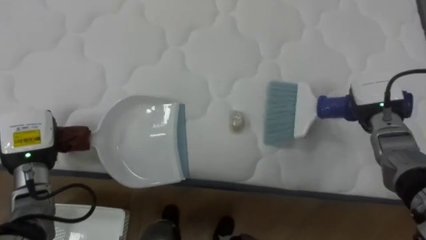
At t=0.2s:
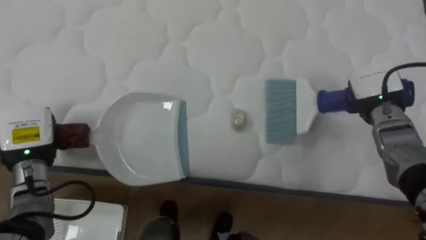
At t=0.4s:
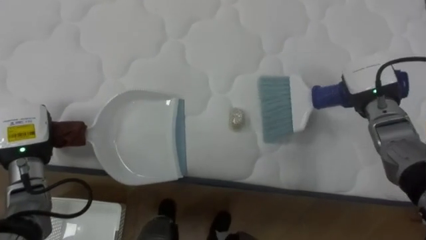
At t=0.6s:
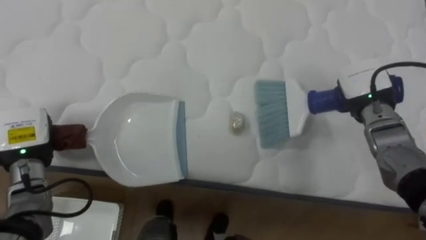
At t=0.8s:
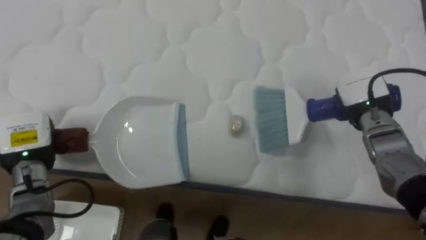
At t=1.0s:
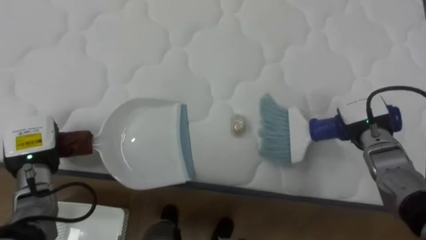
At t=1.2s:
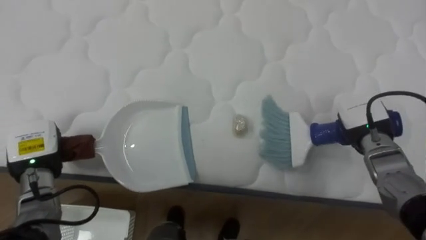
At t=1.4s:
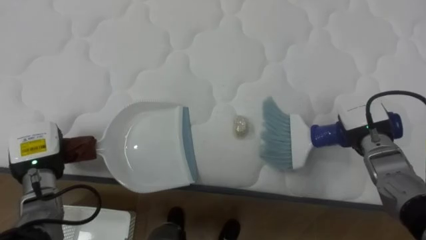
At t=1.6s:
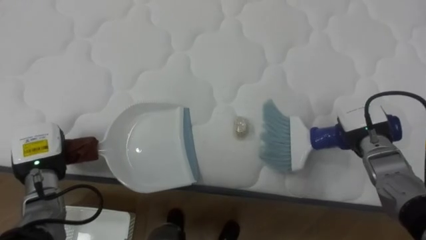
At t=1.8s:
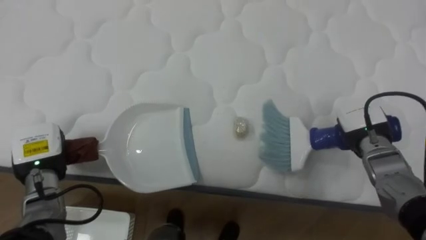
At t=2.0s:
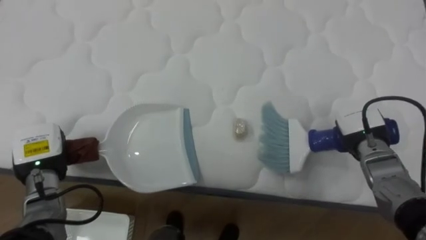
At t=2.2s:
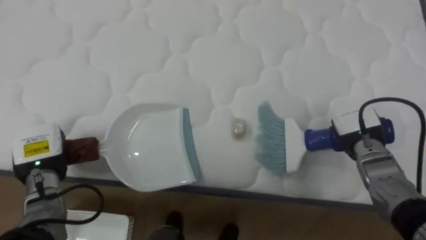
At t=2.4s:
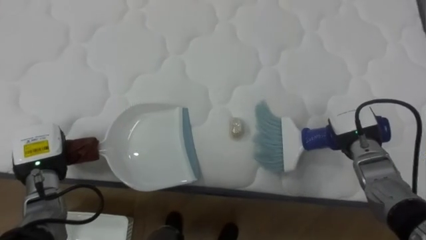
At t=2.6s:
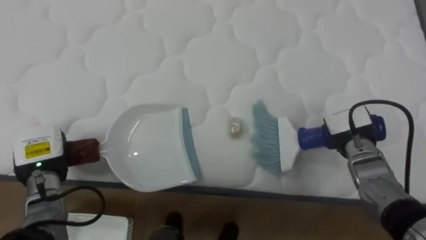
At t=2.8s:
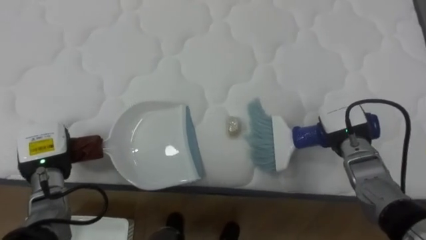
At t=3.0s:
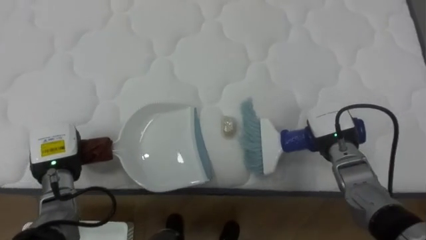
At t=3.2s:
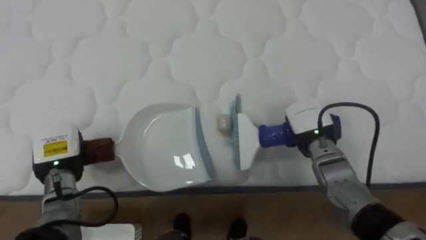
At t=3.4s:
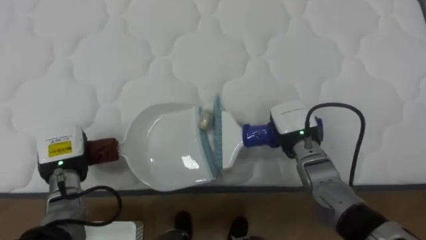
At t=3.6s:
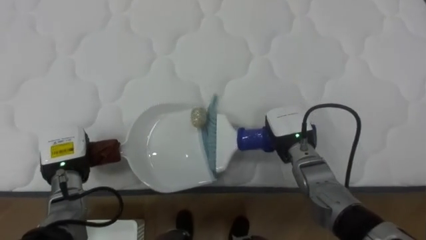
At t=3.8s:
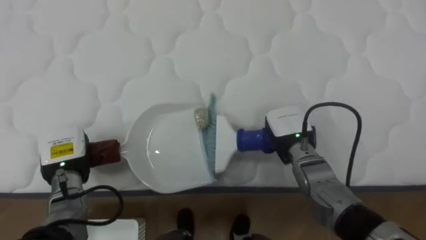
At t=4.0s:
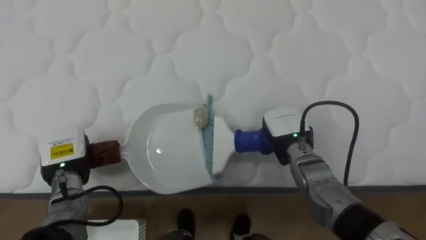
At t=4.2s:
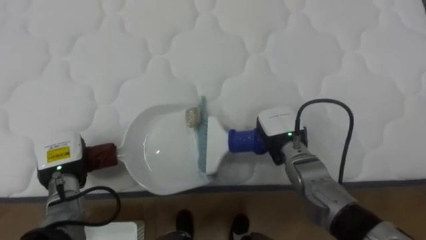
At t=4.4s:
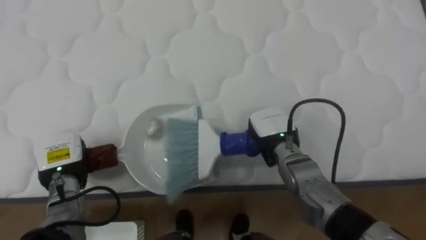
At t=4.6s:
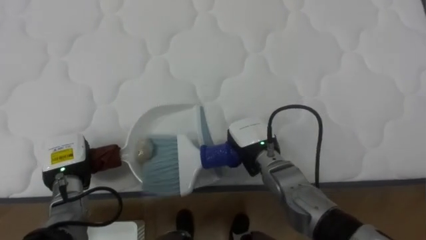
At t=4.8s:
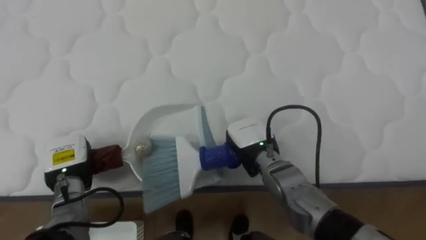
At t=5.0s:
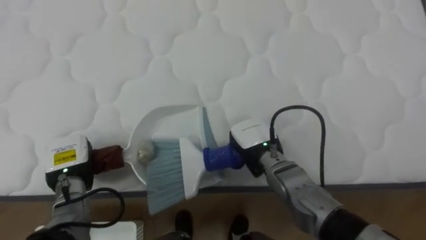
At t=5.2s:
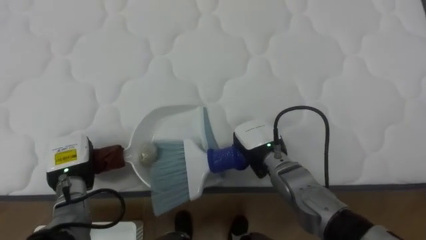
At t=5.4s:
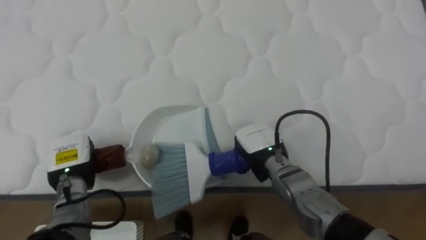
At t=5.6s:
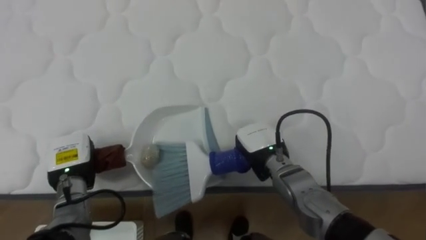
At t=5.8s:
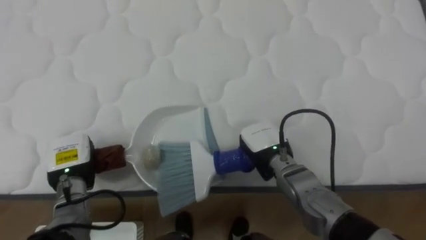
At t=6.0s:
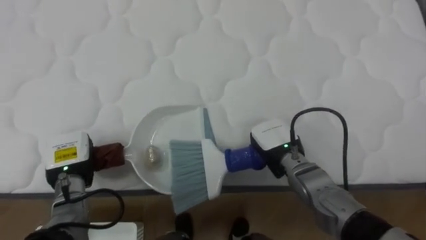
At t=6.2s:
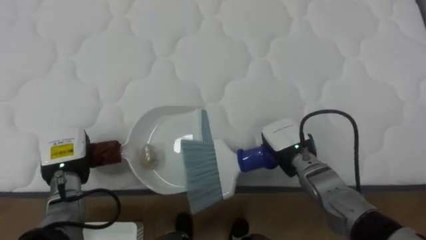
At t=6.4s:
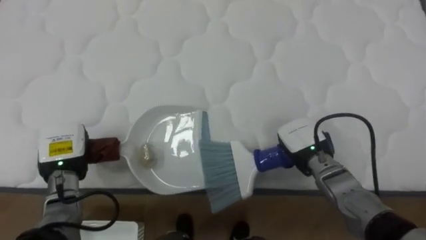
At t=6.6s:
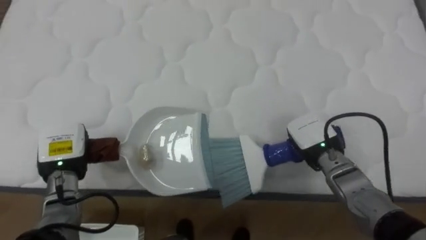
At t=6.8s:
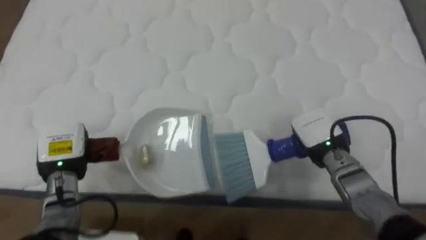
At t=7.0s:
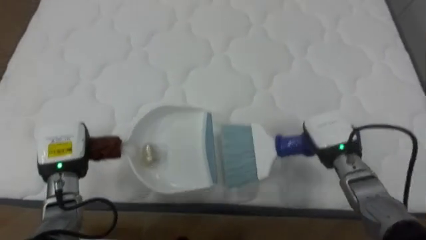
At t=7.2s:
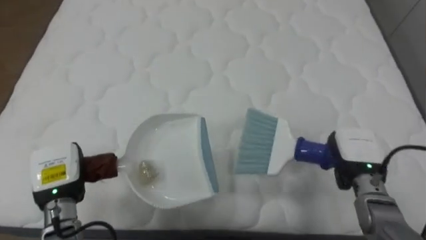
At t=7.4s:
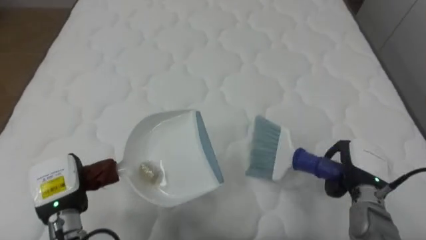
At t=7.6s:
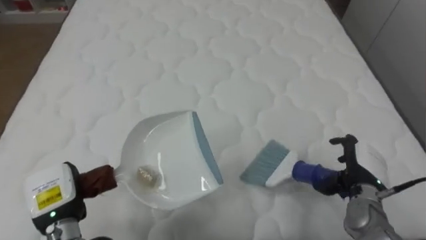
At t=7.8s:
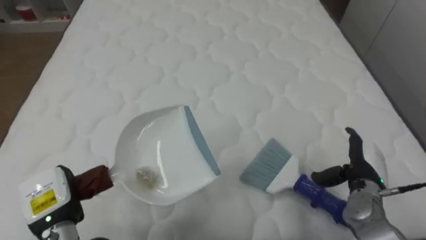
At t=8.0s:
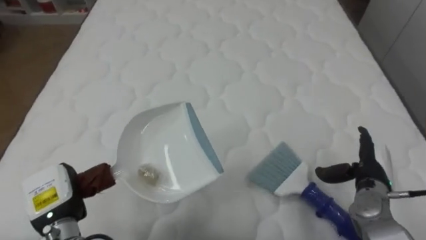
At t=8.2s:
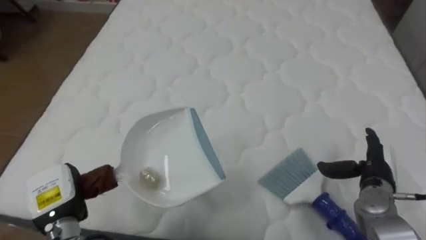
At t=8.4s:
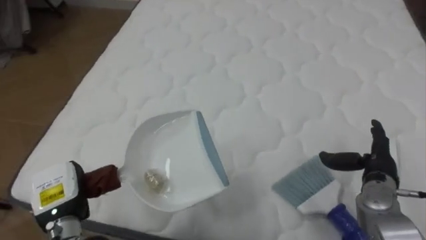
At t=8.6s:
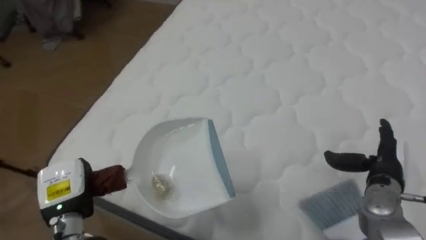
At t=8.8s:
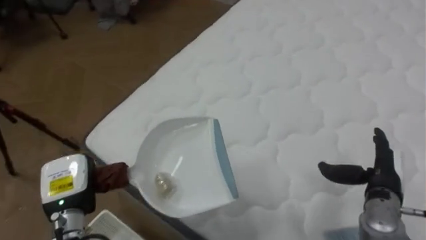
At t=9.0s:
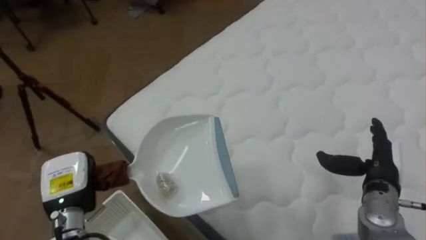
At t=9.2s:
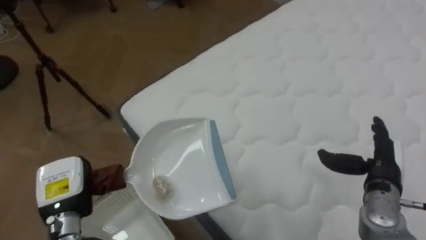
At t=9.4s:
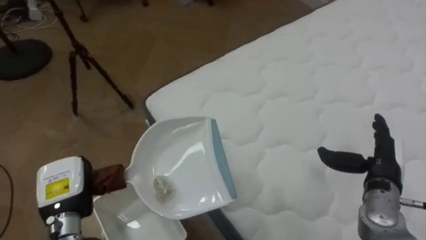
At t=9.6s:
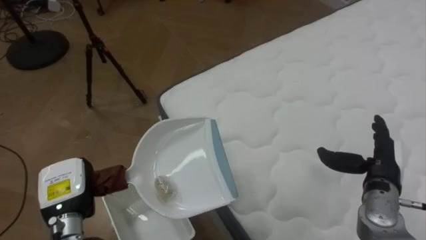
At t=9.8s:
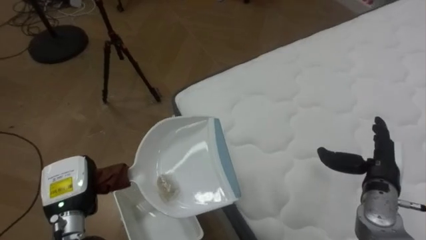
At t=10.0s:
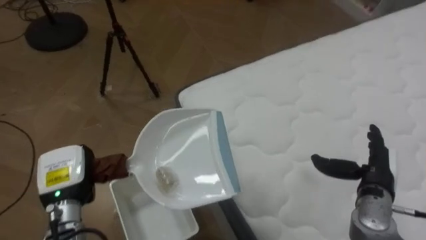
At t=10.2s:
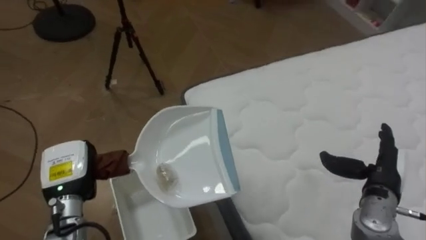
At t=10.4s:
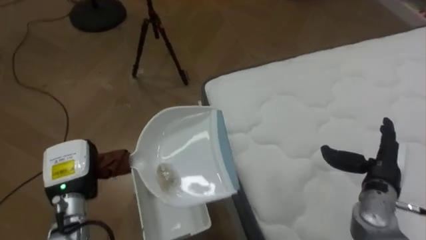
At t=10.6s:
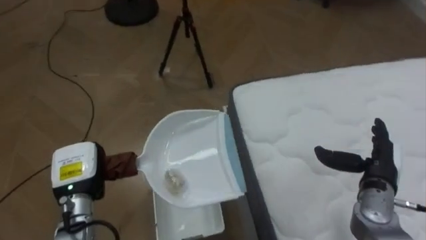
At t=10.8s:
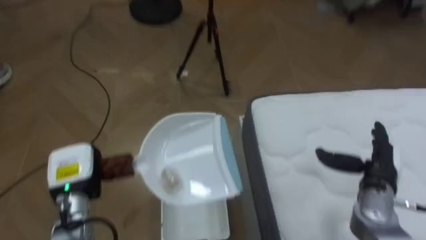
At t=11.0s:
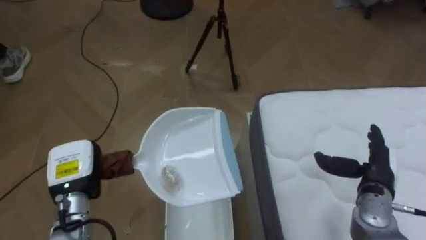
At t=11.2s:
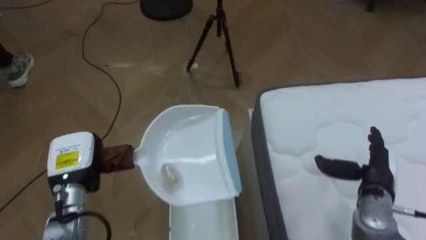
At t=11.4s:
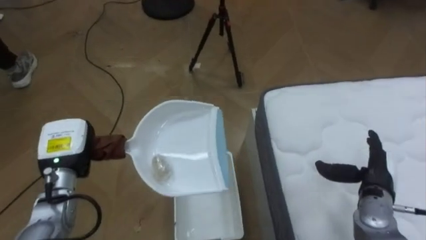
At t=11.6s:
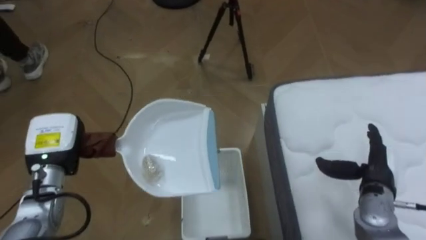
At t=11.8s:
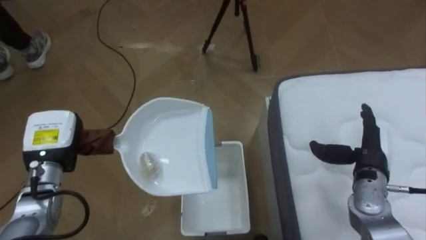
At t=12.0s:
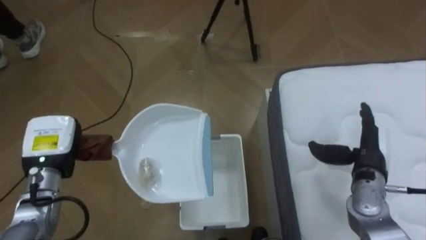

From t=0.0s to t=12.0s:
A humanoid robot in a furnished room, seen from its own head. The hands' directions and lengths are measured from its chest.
Task of the whole recording: Pick up the brush on your right and the dustpan on your left. Use the brush to sweep the crumpled paper on the bed into the dustpan, then turn left and empty it into the basket.
From t=0.0s to t=1.6s: The right hand moves about 5 cm.
From t=1.6s to t=3.0s: The right hand heads to the left, covering roughly 5 cm.
From t=3.0s to t=4.4s: The right hand moves to the left, about 10 cm.
From t=4.4s to t=6.0s: The hands make only small movements.
From t=6.0s to t=7.6s: The left hand shifts approximately 10 cm backward. Meanwhile the right hand travels to the right by about 15 cm, and opens up.
From t=7.6s to t=9.0s: The robot faces approximately 45 degrees further to its left.
From t=9.0s to t=10.4s: The robot faces about 35 degrees further to its left.
From t=10.4s to t=12.0s: The robot turns to its left by roughly 20 degrees. The left hand changes place by approximately 5 cm.

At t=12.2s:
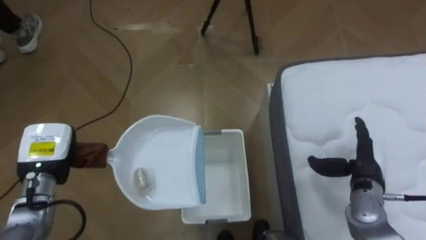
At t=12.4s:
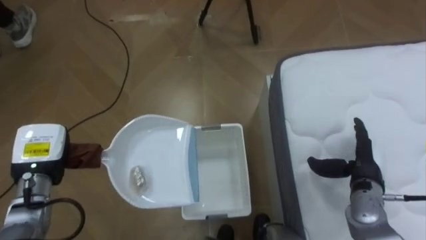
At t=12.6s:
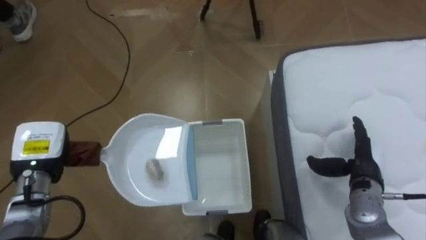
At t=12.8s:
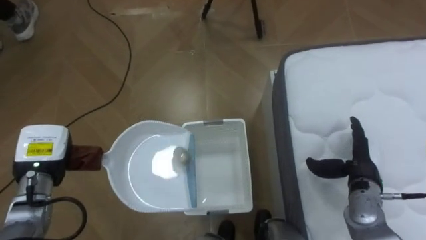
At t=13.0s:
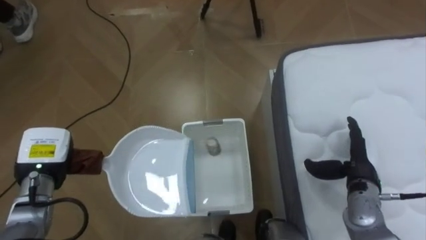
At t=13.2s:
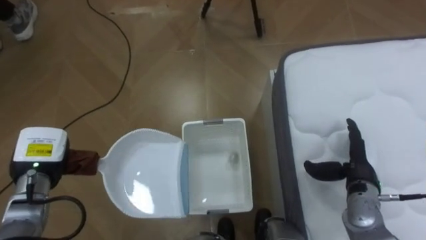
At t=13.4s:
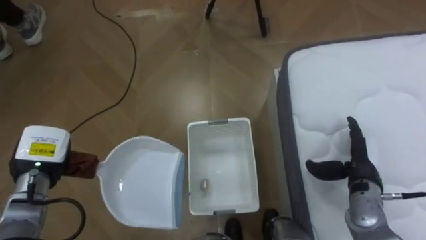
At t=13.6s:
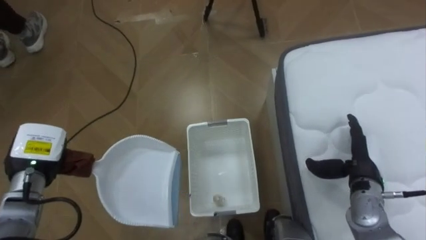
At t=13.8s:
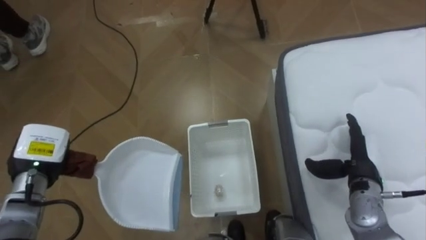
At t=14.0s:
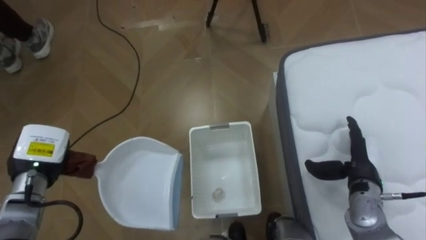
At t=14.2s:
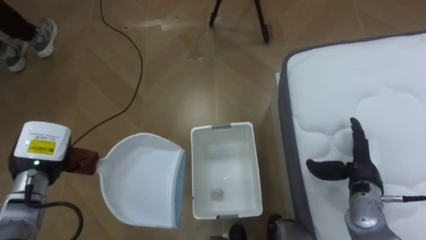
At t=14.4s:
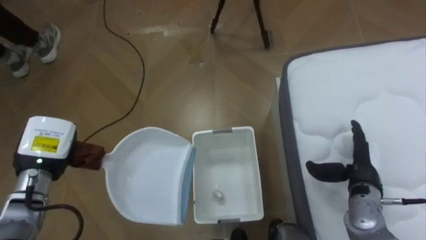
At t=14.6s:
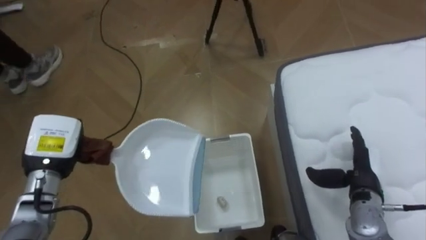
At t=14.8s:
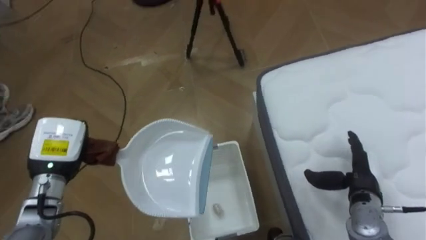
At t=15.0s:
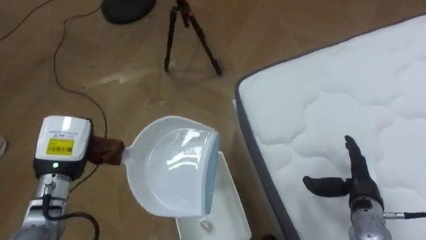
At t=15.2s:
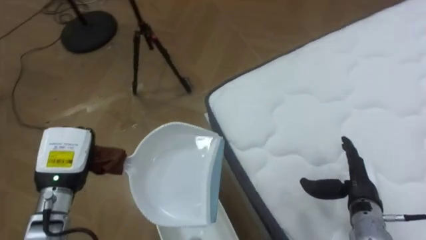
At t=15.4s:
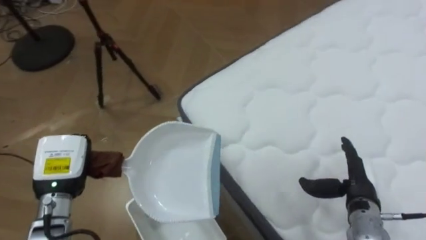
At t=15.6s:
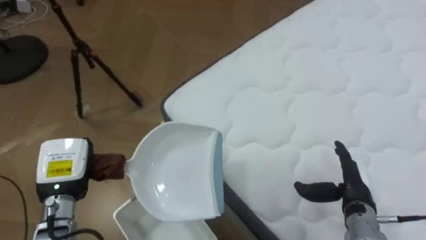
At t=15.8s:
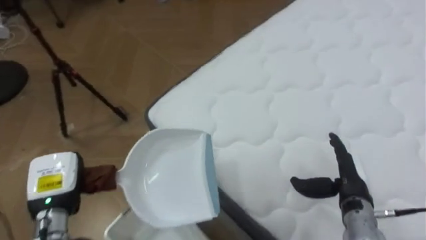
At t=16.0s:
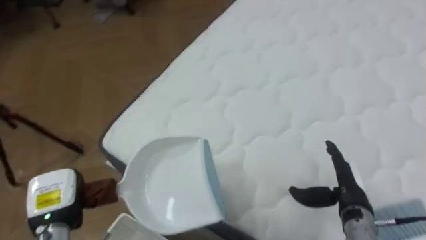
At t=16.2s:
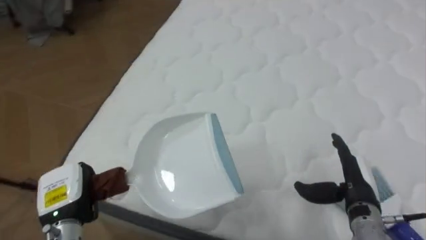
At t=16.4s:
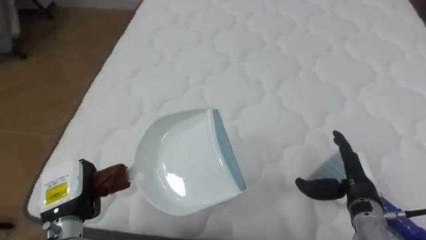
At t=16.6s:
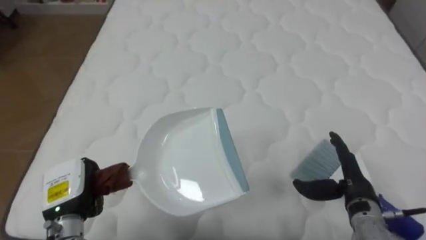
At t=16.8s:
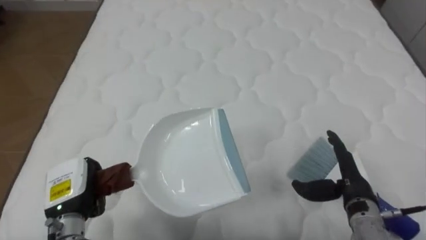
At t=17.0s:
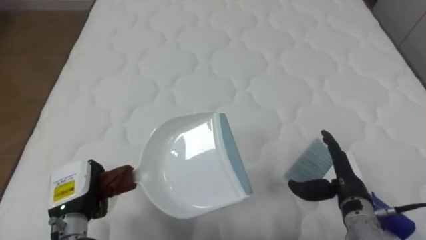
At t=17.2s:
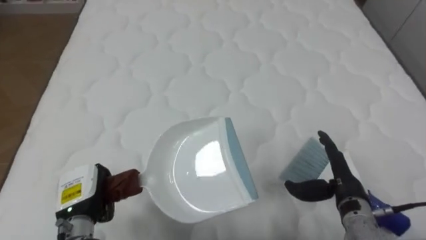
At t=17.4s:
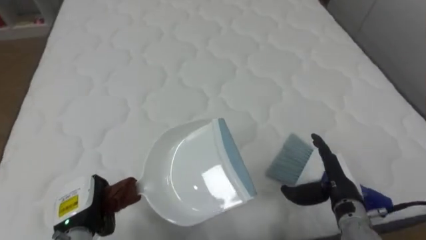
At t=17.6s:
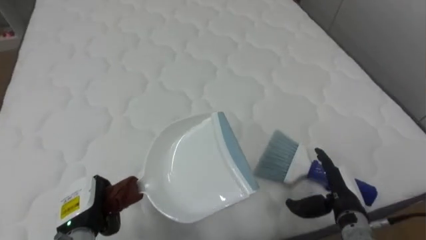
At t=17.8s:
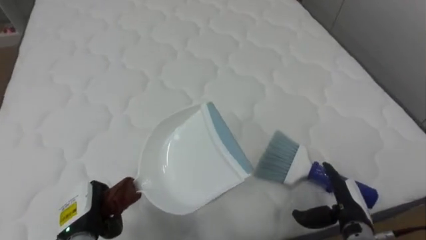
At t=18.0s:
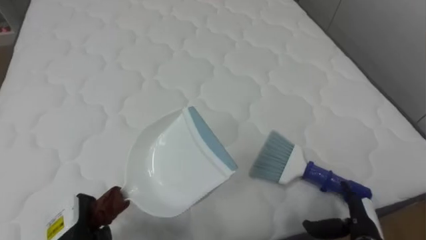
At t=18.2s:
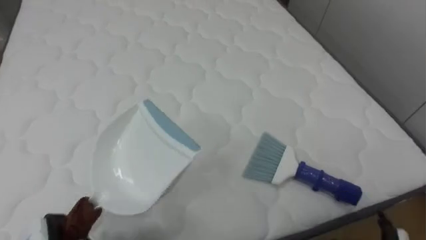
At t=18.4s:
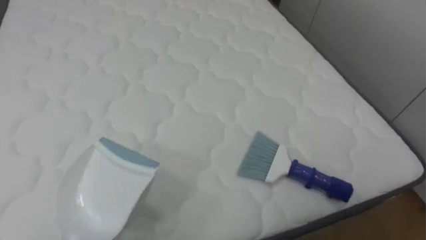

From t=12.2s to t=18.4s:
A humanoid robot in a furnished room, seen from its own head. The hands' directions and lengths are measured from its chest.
Task of the whole recording: Pick up the brush on your right and the dustpan on your left. Use the brush to sweep the crumpled paper on the bed into the dustpan, then turn left and empty it into the basket.
From t=13.8s to t=15.4s: The robot turns to its right by approximately 40 degrees. The left hand shifts by approximately 5 cm.
From t=15.4s to t=16.8s: The robot faces about 50 degrees further to its right. The left hand shifts by roughly 5 cm.
From t=16.8s to t=18.4s: The robot turns to its right by approximately 15 degrees.
